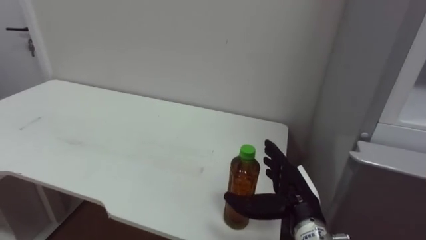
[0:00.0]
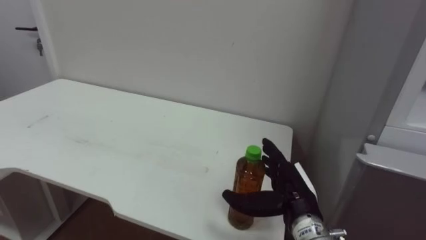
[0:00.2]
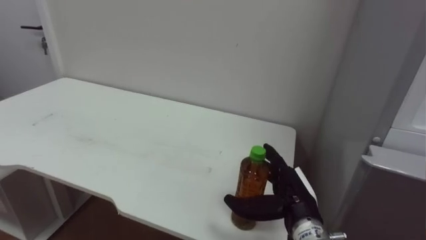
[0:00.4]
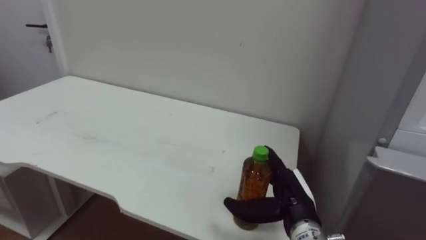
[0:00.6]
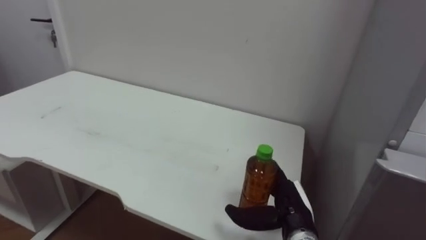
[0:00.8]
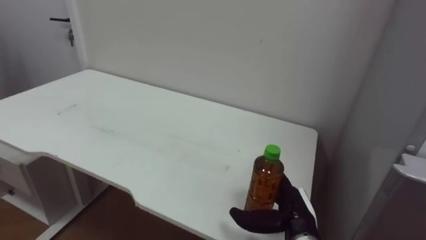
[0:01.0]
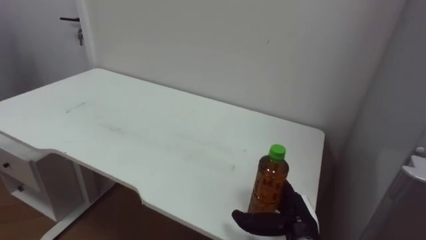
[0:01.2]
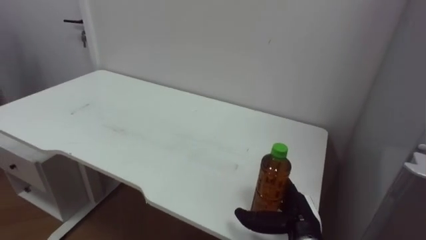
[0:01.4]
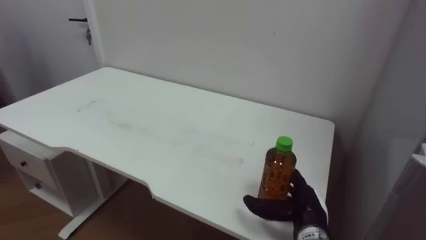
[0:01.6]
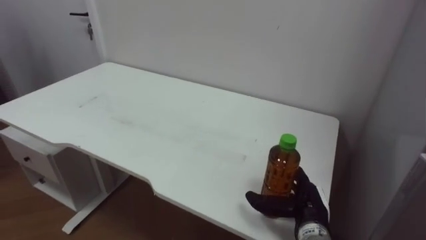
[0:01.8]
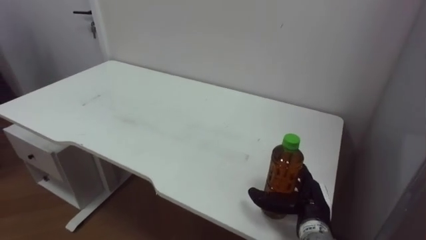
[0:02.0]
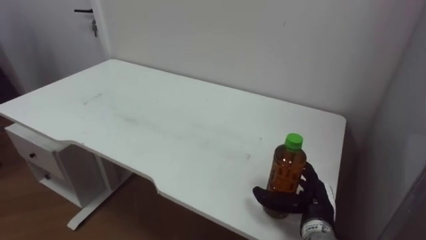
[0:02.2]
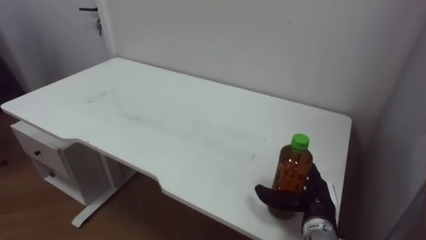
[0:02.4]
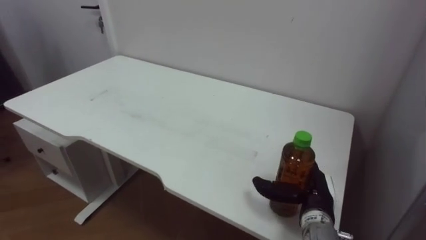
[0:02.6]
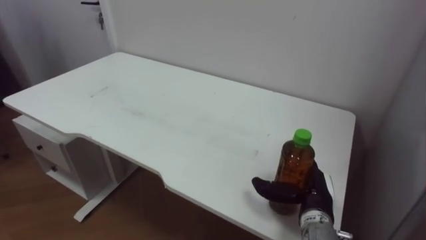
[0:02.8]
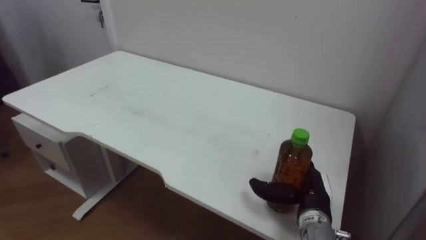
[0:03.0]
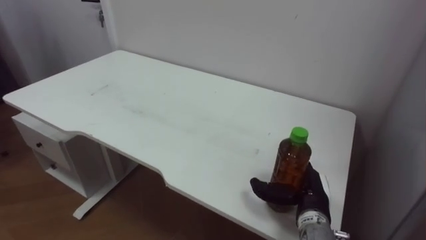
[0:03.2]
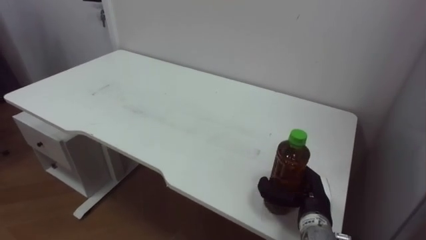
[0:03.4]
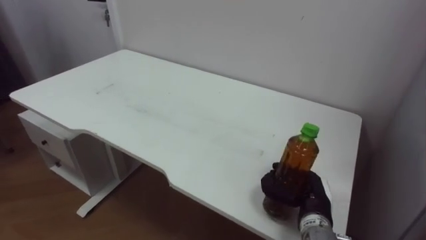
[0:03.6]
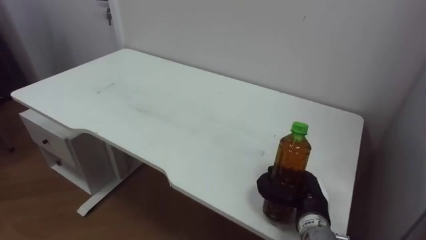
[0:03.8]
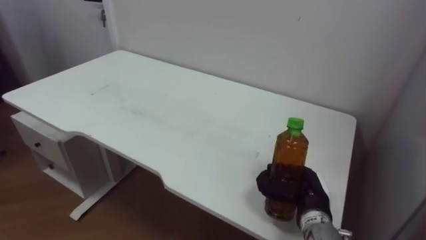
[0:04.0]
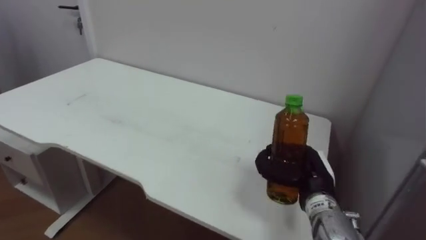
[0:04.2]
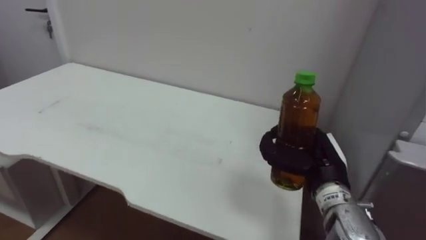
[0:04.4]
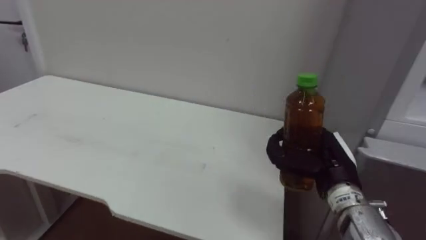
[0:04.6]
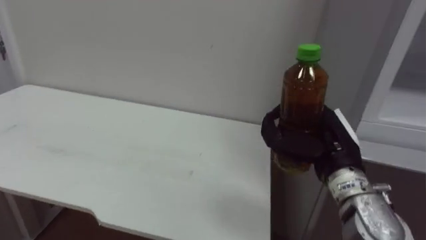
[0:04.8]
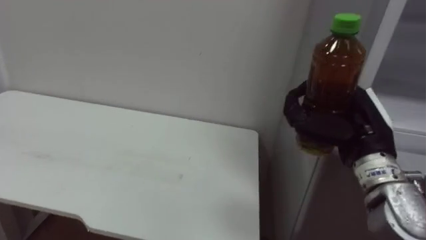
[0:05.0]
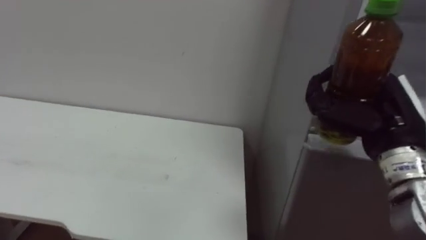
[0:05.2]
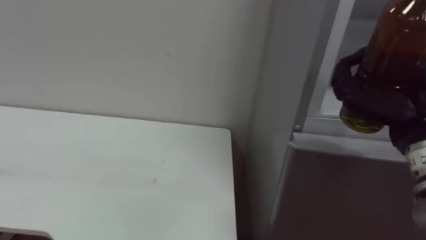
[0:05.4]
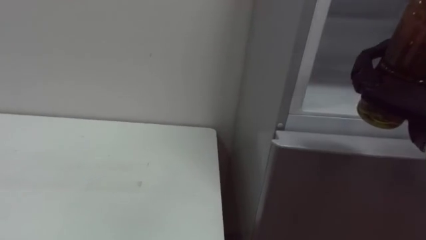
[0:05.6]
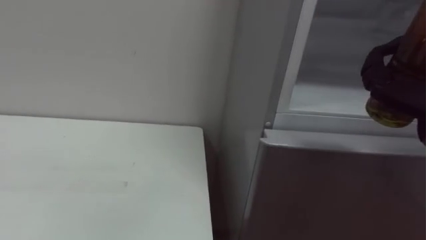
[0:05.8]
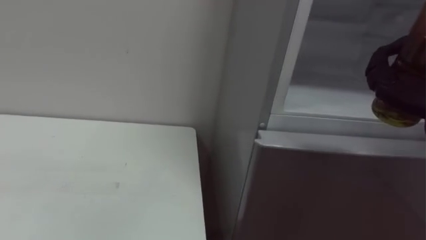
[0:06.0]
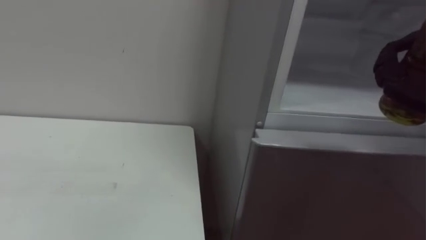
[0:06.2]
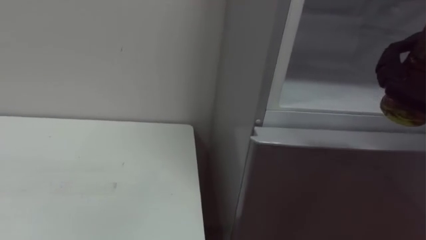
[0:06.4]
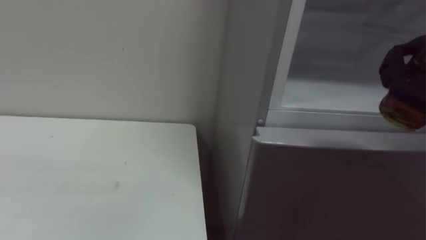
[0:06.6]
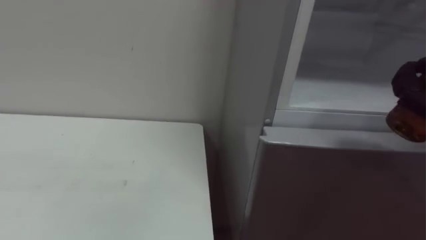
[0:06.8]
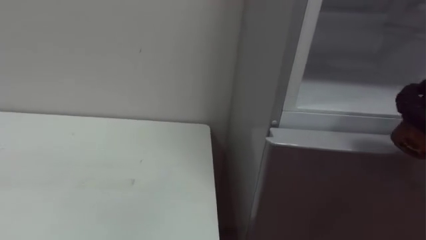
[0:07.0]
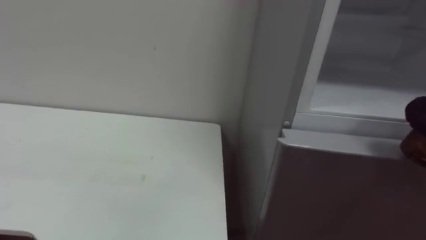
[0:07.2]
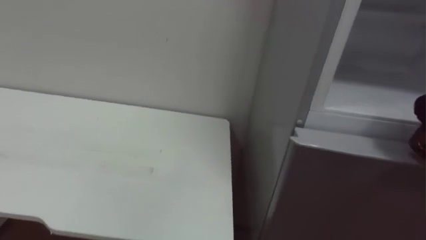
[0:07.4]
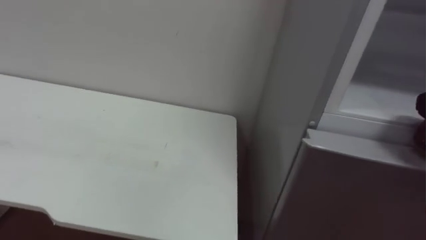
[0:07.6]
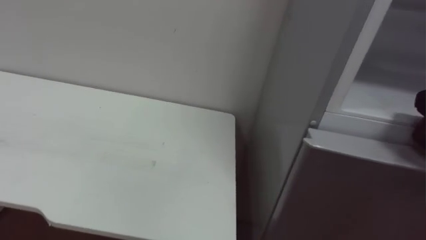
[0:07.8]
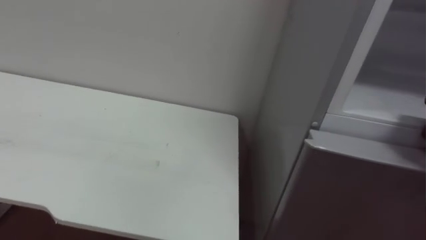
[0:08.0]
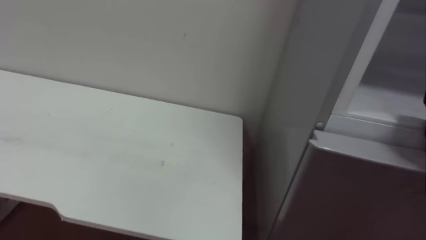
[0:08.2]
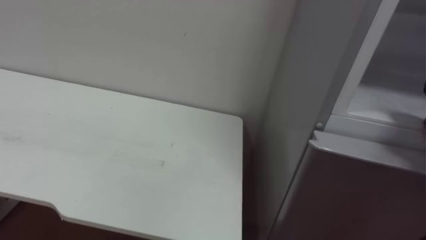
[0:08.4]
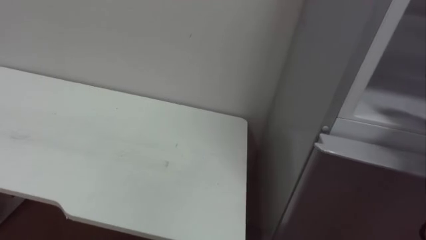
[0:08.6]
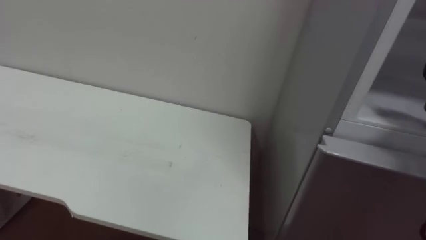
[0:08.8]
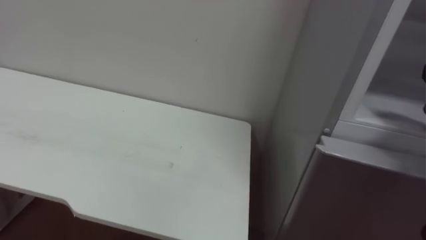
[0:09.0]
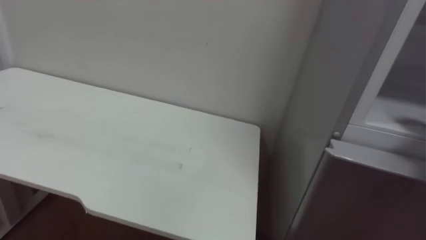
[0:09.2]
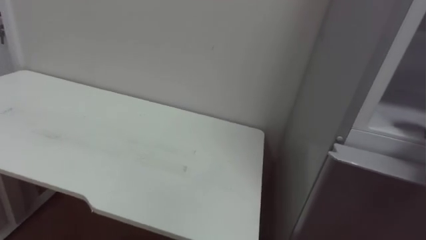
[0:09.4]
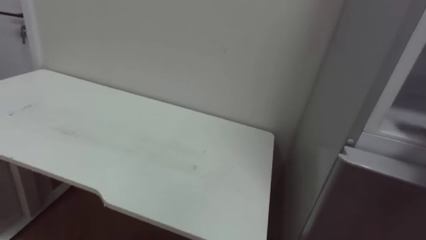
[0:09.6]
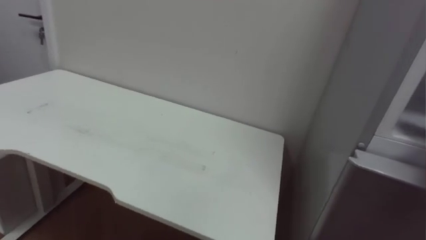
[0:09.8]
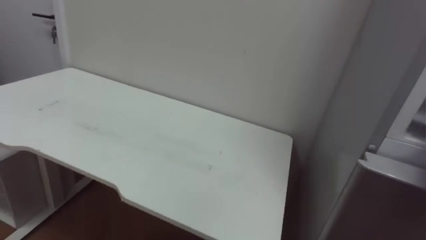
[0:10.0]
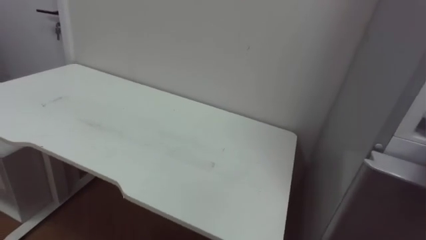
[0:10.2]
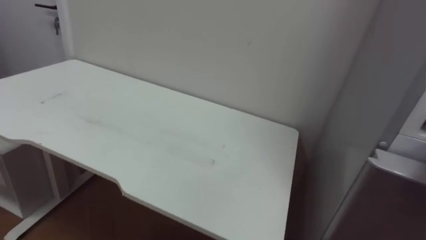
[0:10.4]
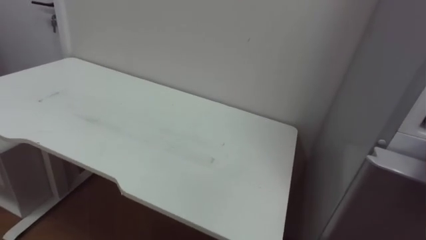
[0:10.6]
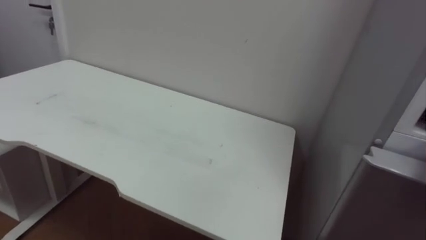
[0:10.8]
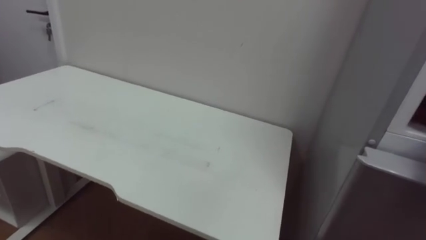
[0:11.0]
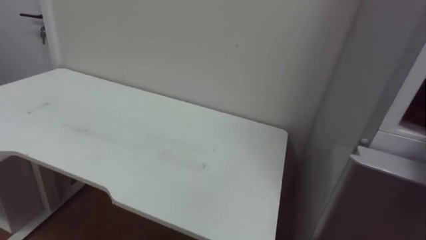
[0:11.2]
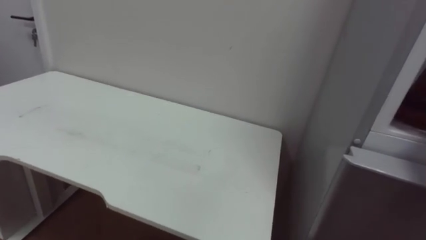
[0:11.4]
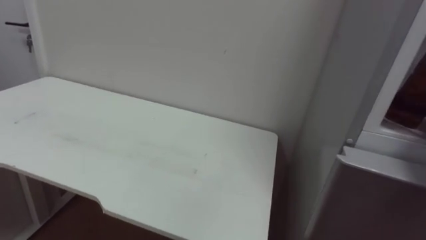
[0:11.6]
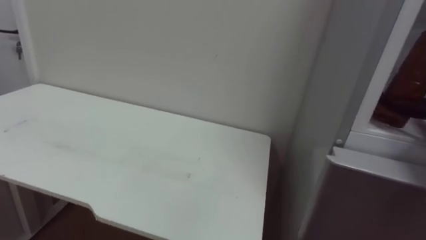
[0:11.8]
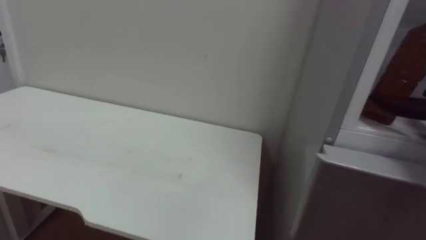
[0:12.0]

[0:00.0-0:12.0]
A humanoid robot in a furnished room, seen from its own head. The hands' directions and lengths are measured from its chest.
Task of the whole recording: Open the upper refrigerator door, put the drink from the table into the refrigerator, and then close the refrigerator door.
0:00.0 to 0:01.6: The right hand shifts some 5 cm downward.
0:03.0 to 0:04.4: The right hand travels upward by some 10 cm, and closes.

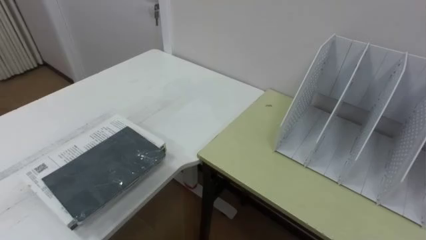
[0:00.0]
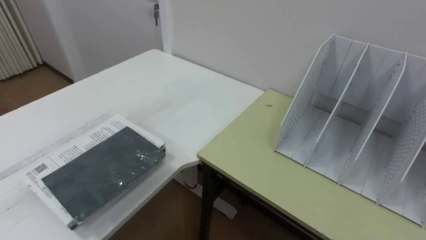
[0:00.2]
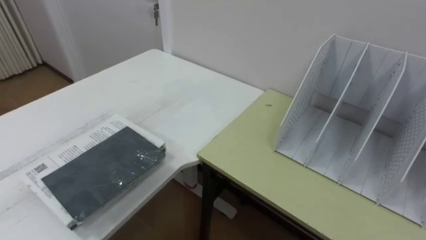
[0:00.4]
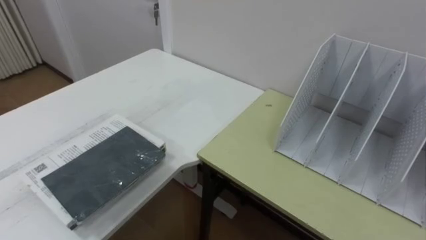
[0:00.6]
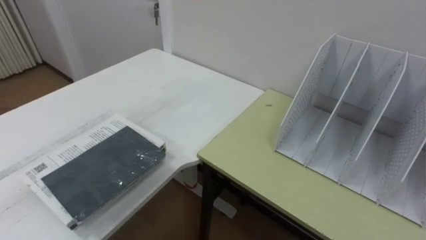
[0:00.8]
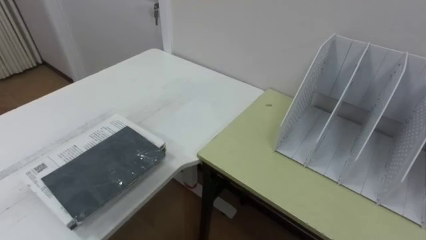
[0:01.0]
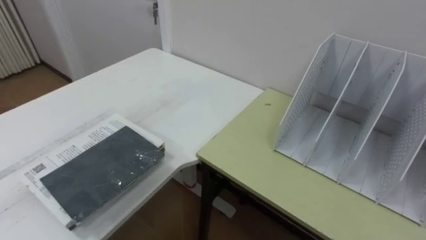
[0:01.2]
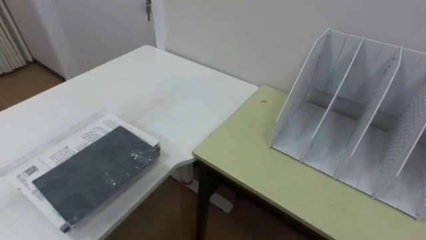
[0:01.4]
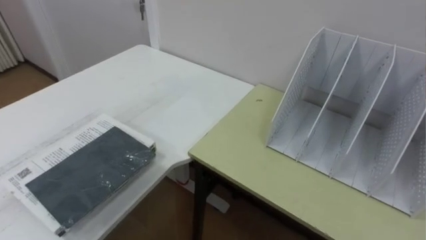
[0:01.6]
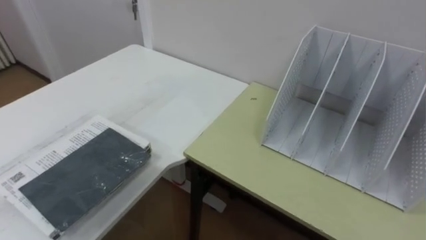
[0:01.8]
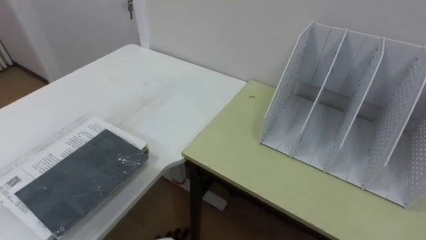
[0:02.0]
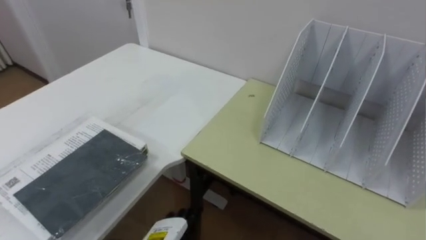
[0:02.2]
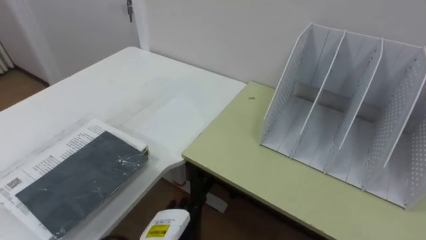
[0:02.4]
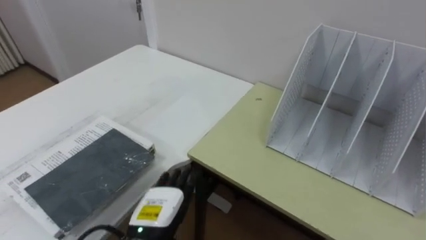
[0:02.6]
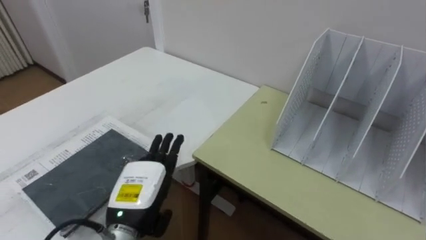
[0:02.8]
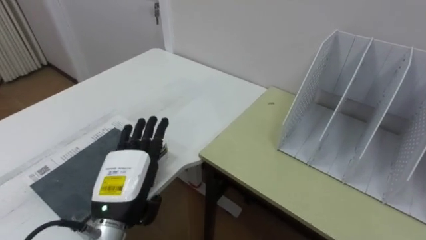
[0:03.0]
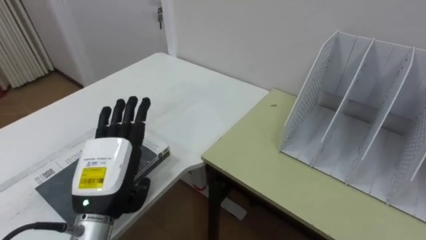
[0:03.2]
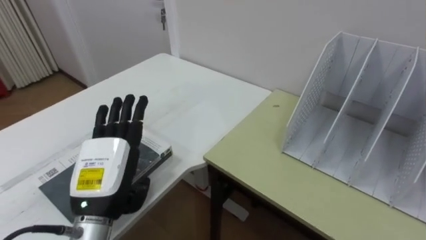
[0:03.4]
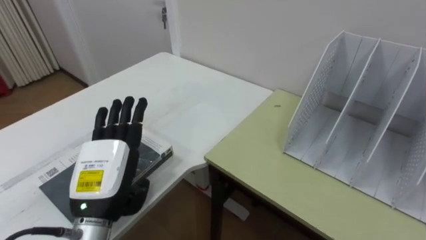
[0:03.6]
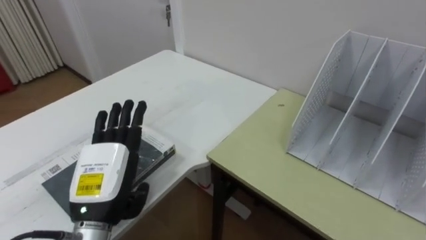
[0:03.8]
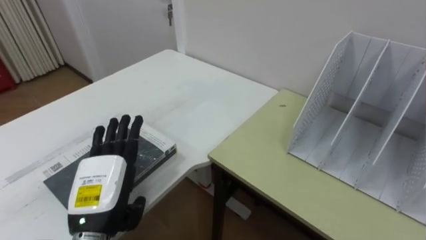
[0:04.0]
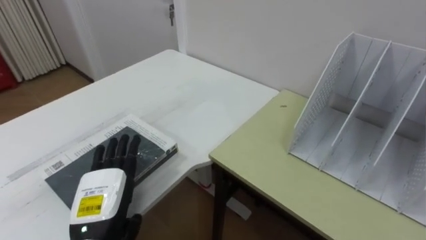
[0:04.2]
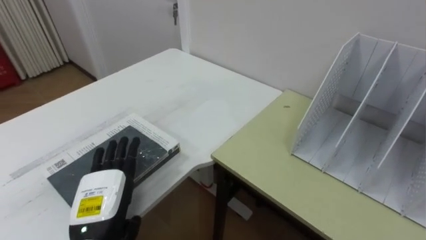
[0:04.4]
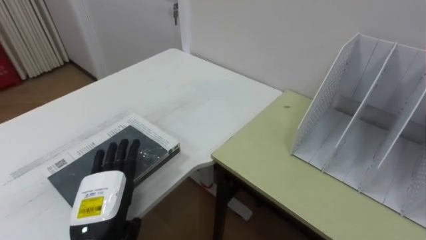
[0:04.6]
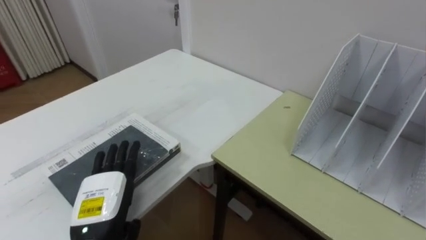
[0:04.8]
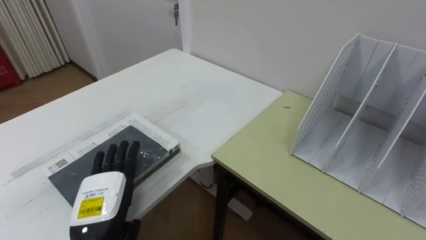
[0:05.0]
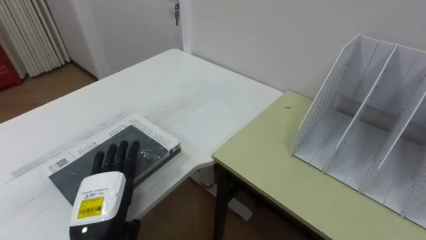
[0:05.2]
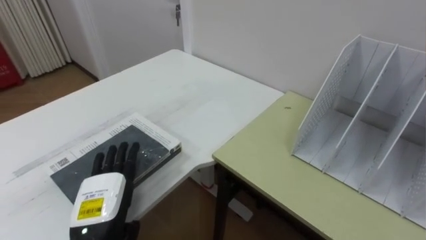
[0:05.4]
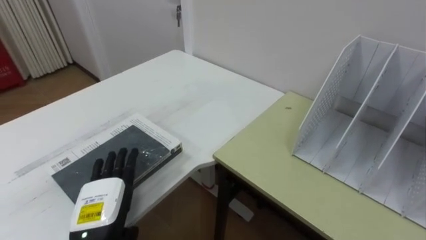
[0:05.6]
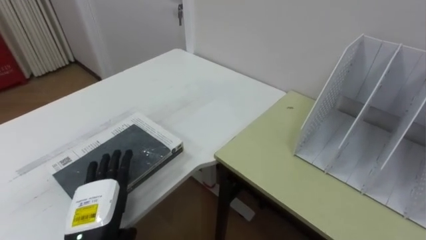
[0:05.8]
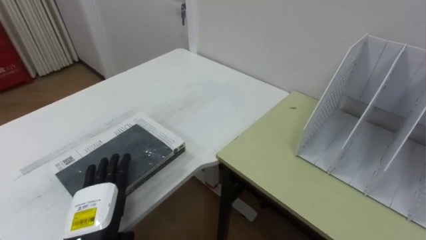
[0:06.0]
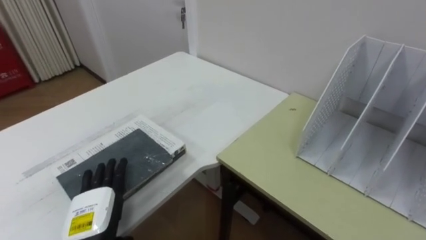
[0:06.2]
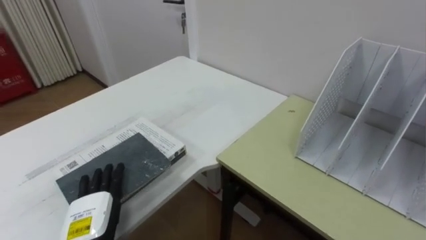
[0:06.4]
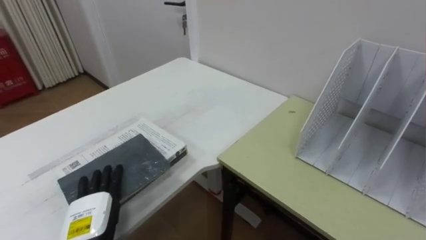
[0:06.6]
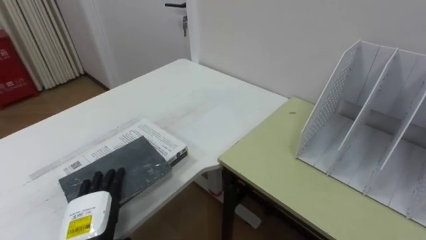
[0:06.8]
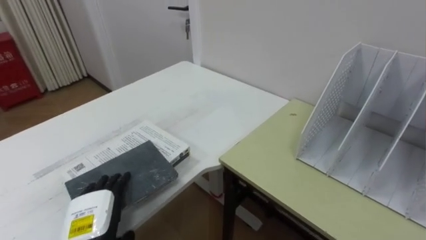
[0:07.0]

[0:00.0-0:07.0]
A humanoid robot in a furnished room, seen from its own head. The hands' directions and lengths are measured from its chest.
Task of the whole recording: Put the books on the table onto the bookshelf.
0:02.8 to 0:04.2: The left hand shifts about 5 cm to the left.
